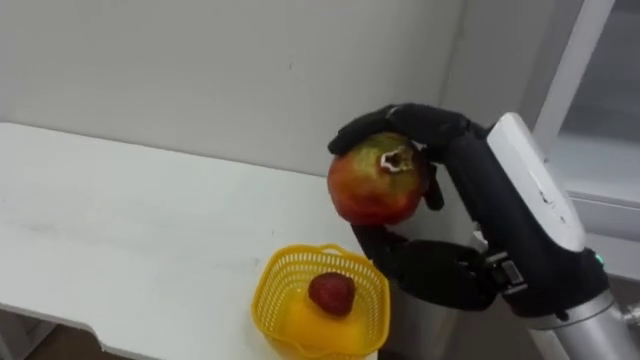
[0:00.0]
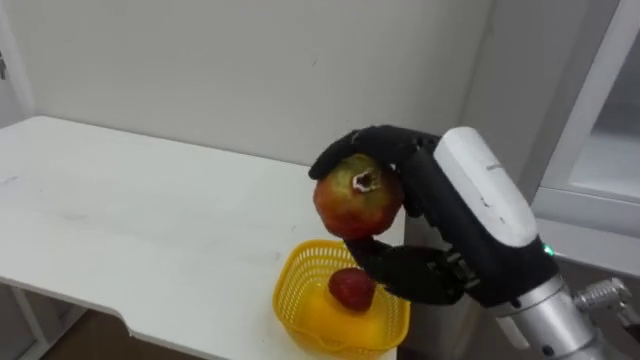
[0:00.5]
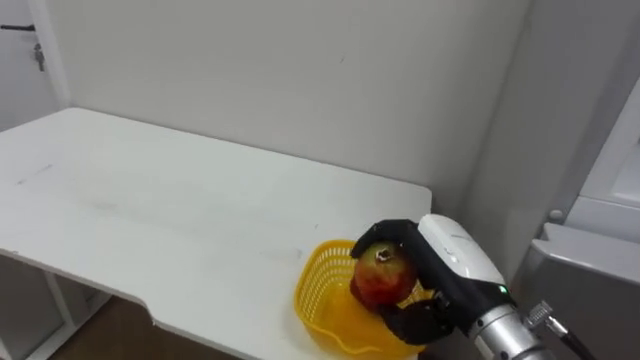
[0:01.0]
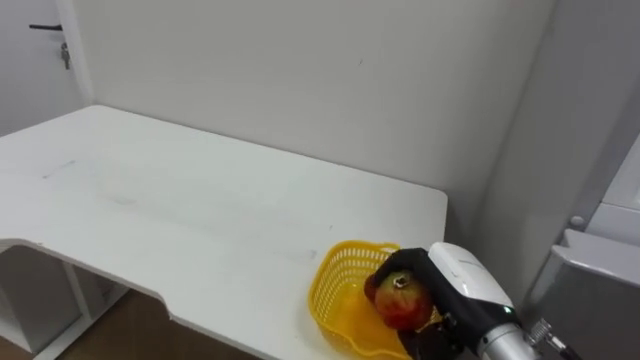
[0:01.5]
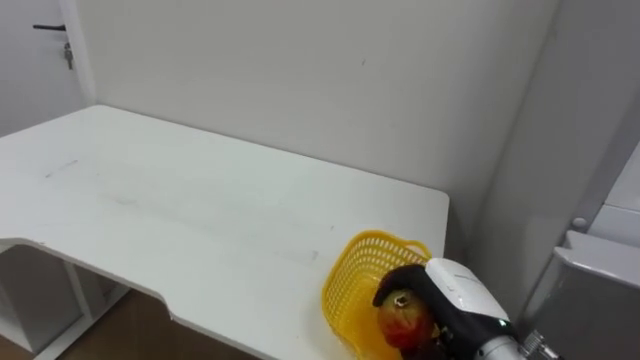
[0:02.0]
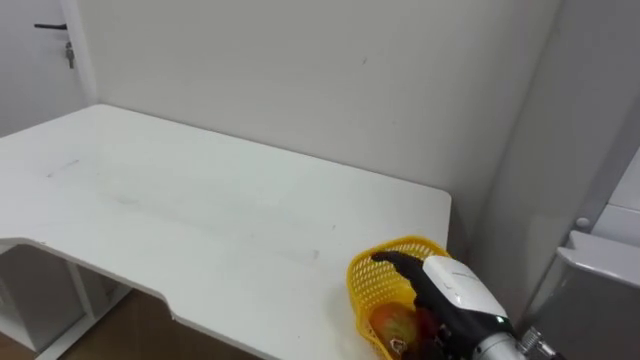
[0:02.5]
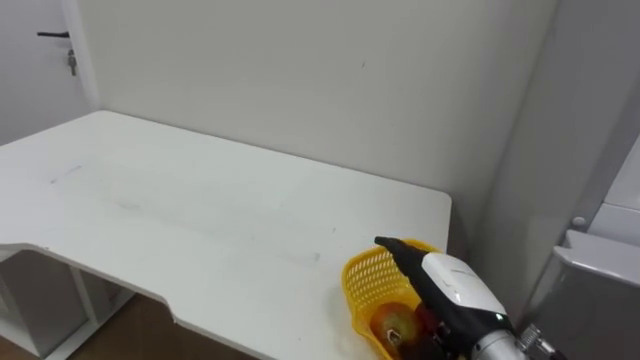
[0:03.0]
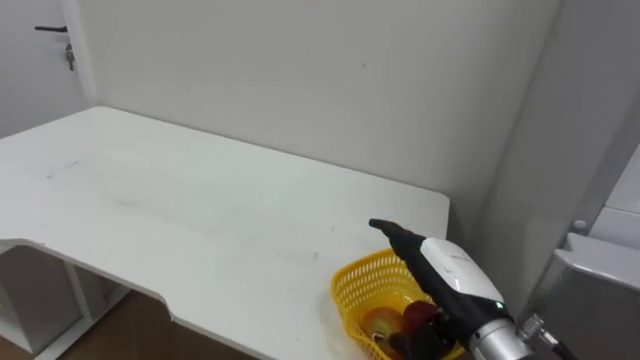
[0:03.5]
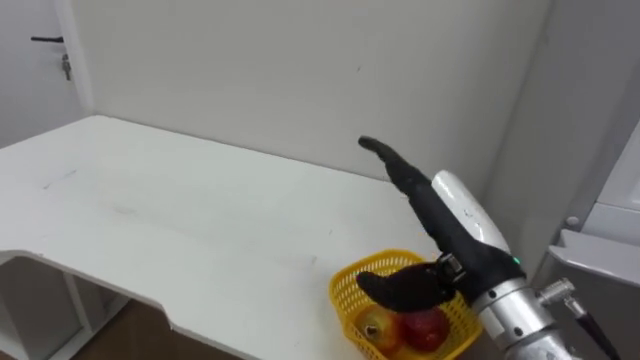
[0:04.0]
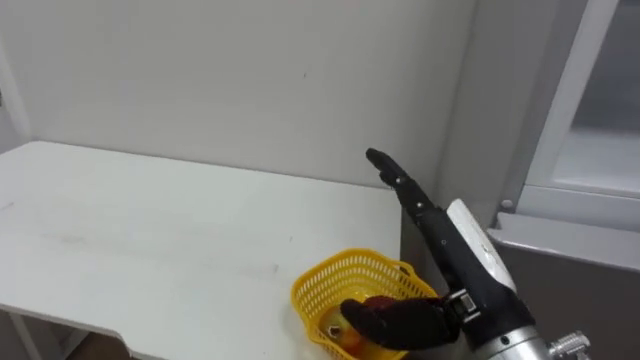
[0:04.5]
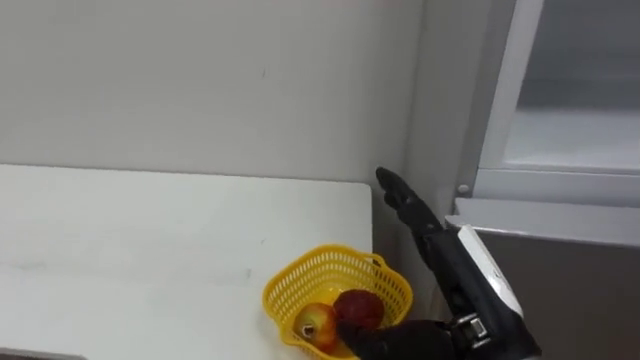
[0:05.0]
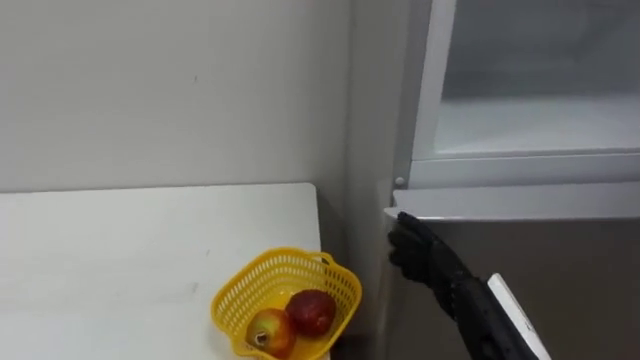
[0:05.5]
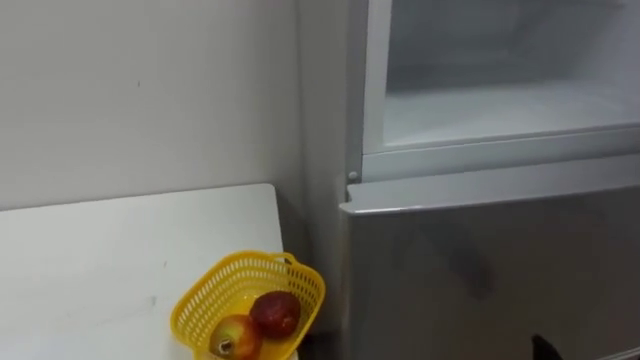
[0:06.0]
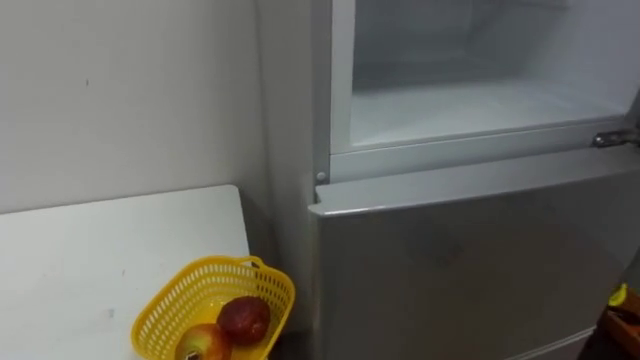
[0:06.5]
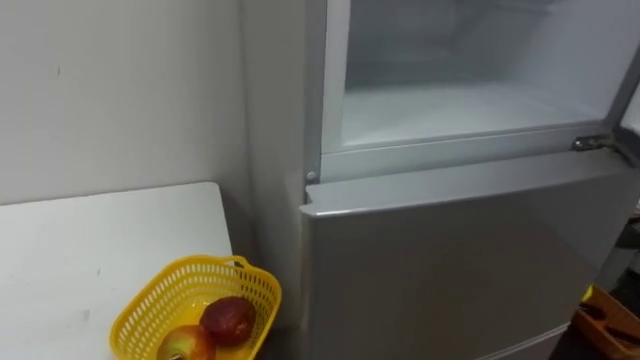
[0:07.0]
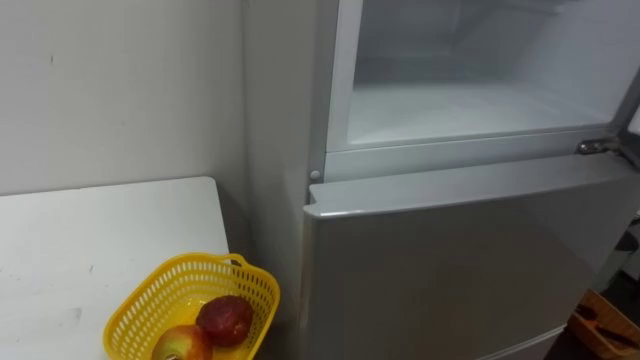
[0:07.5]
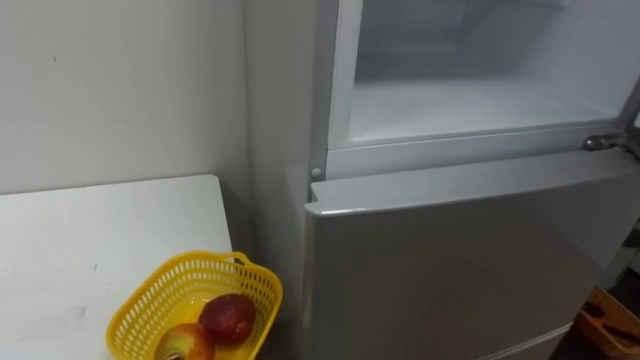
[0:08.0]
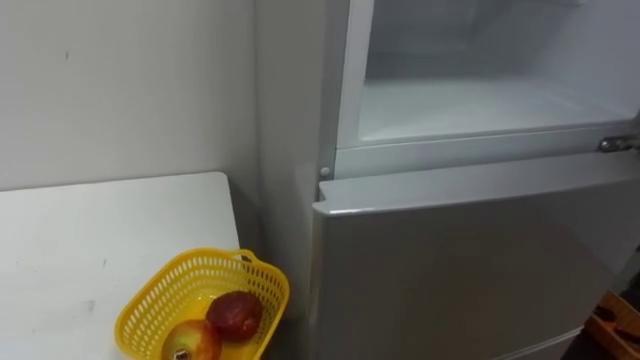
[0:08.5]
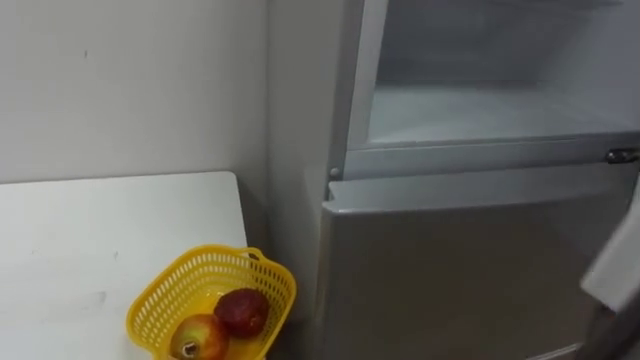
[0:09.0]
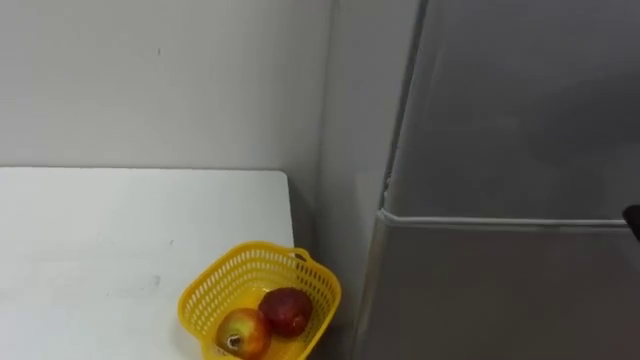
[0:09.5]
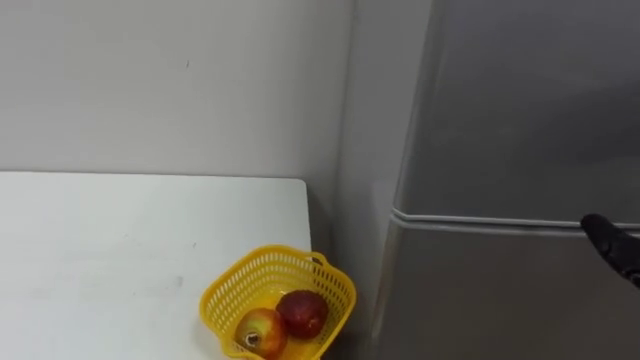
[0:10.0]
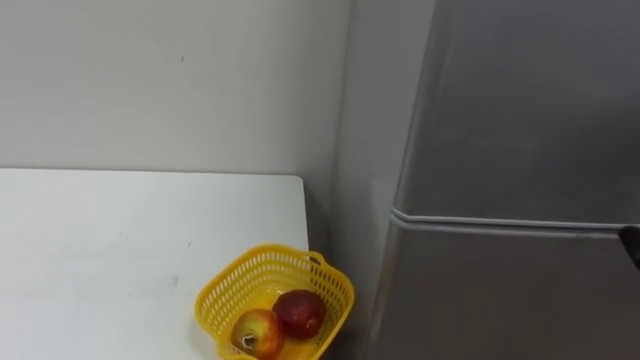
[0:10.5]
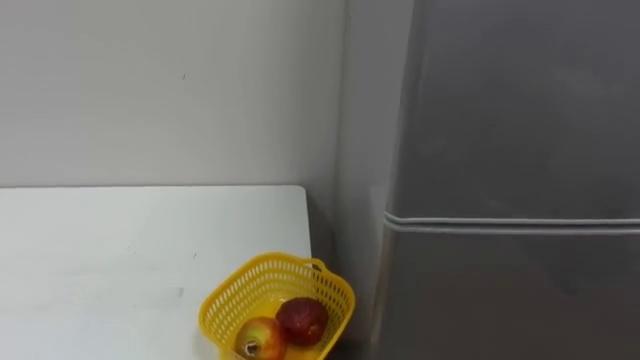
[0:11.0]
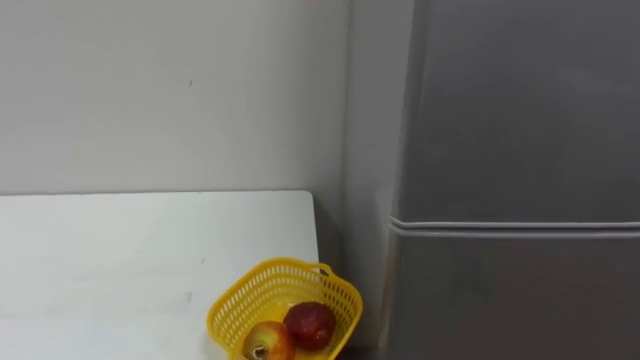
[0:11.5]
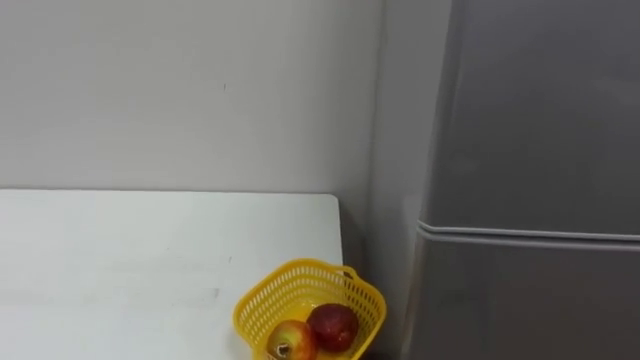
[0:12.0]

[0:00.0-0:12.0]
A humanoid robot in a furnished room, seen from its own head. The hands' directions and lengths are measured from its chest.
Task of the whole recording: Open the refrigerator door, take out the apple and the pomegranate, place them in the fruit basket on the left, and close the refrigerator door.
0:00.0 to 0:02.0: The right hand goes some 25 cm downward and forward.
0:02.0 to 0:04.0: The right hand moves upward, approximately 10 cm, and opens.

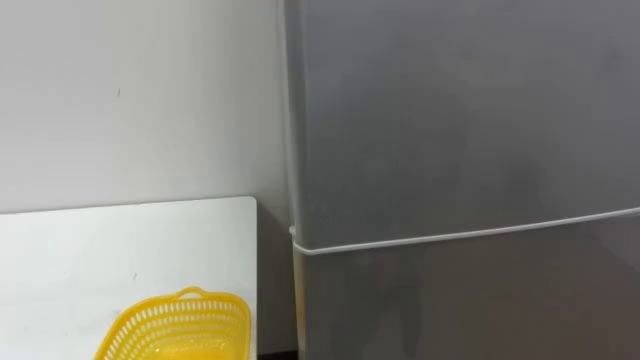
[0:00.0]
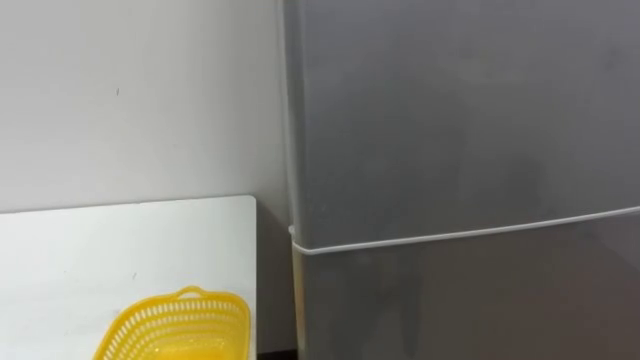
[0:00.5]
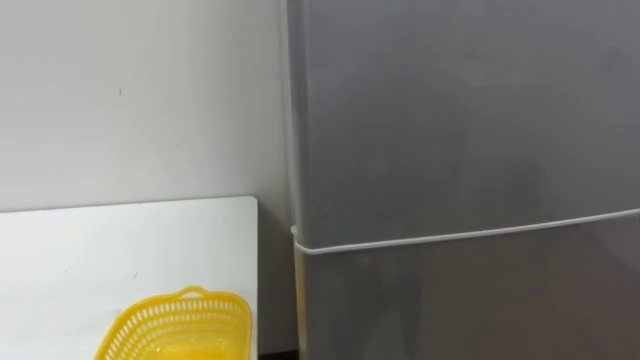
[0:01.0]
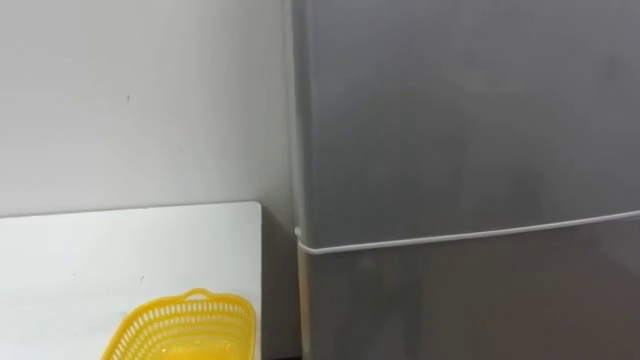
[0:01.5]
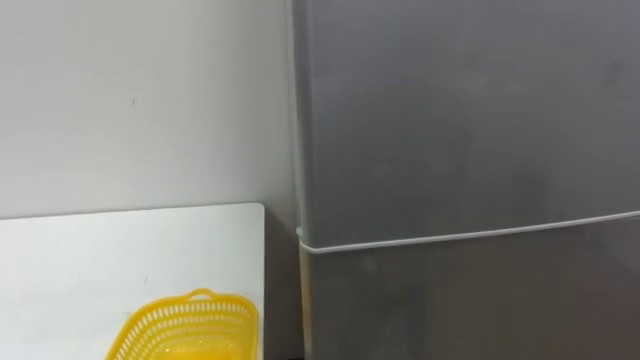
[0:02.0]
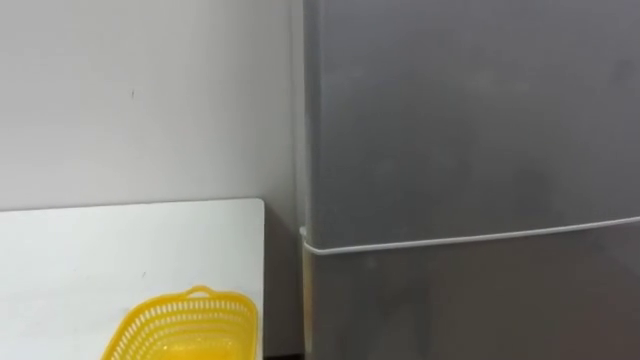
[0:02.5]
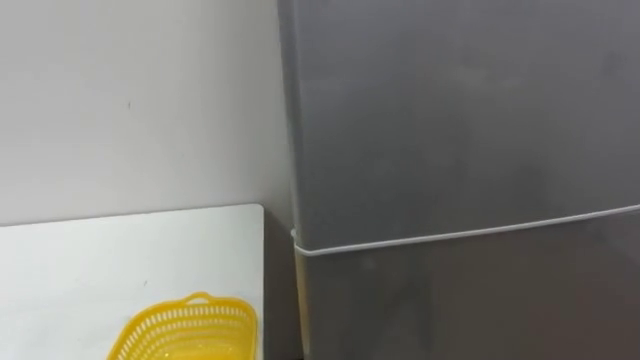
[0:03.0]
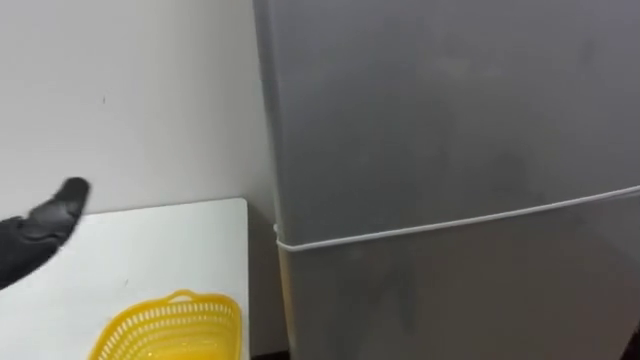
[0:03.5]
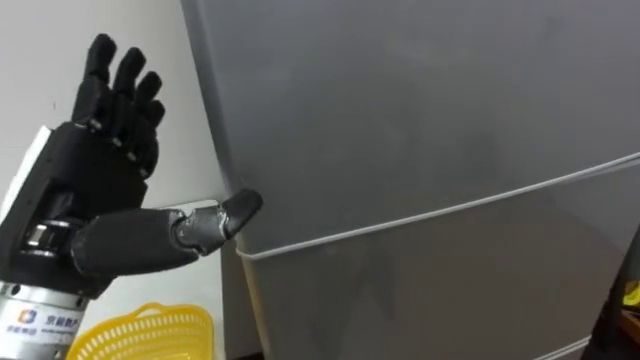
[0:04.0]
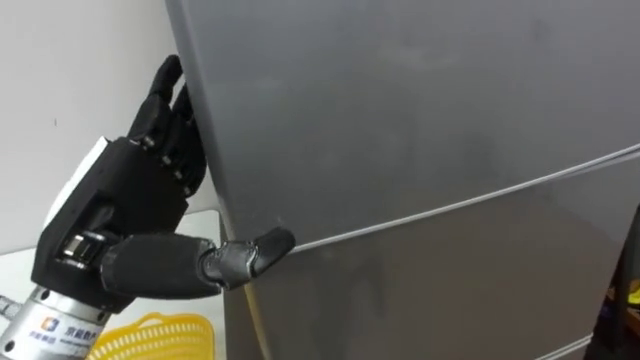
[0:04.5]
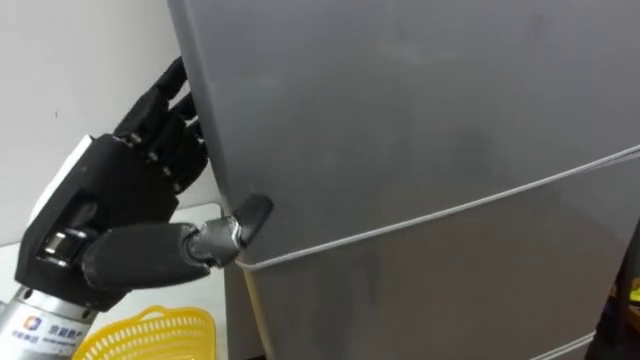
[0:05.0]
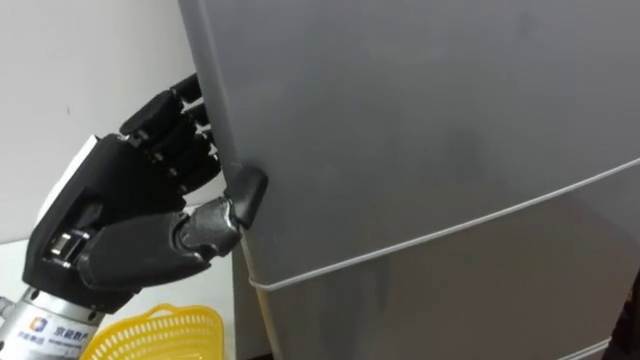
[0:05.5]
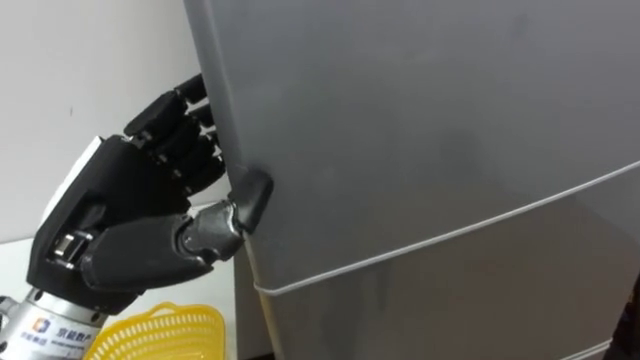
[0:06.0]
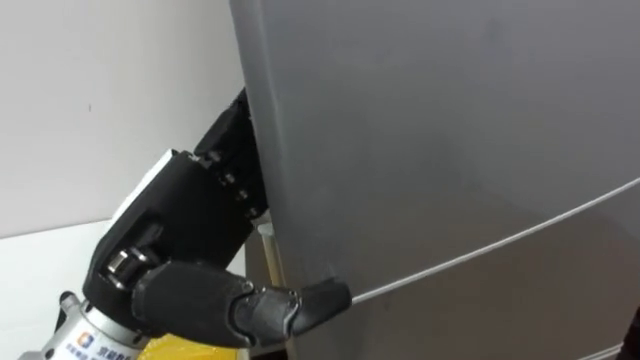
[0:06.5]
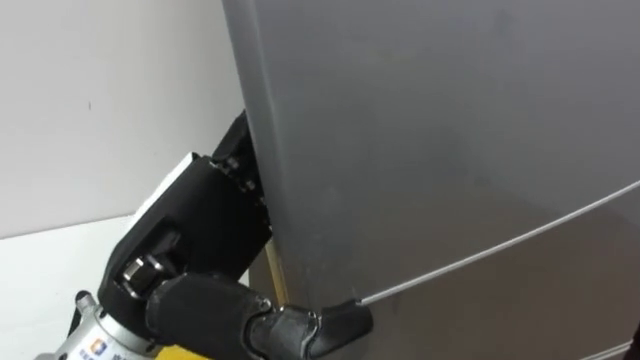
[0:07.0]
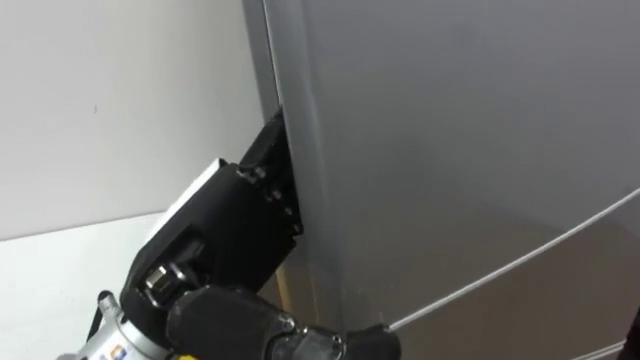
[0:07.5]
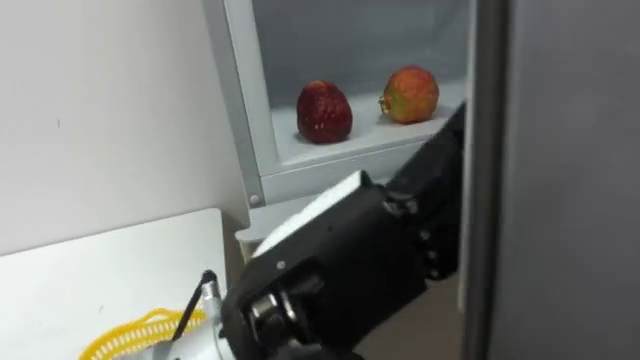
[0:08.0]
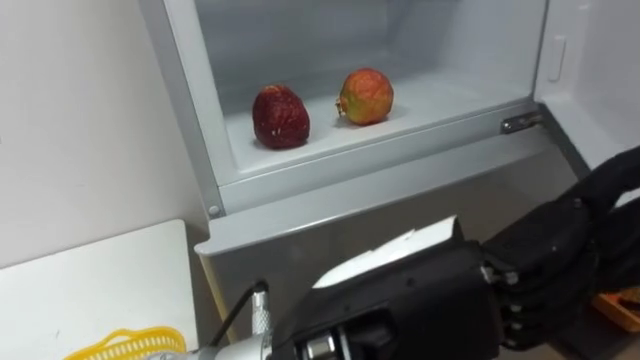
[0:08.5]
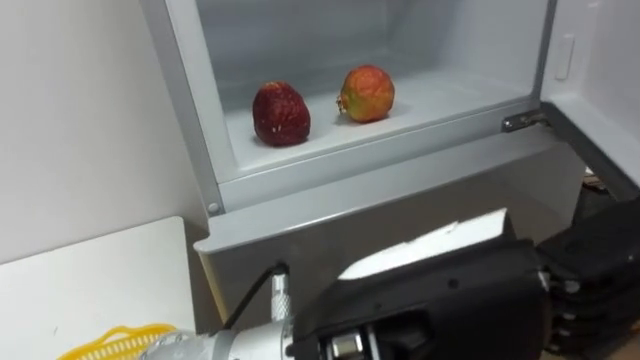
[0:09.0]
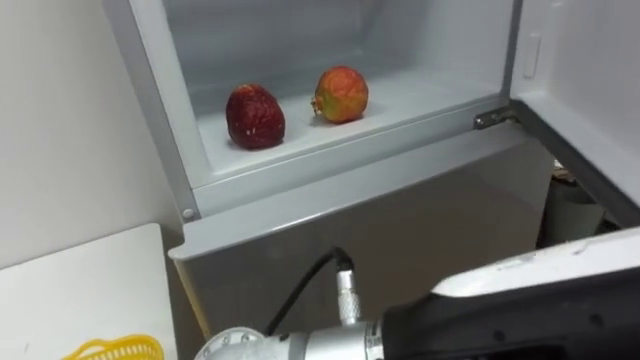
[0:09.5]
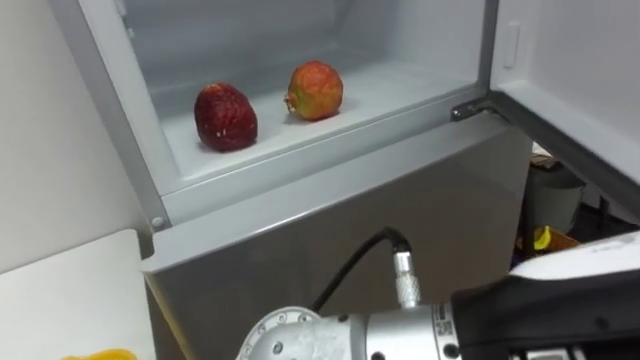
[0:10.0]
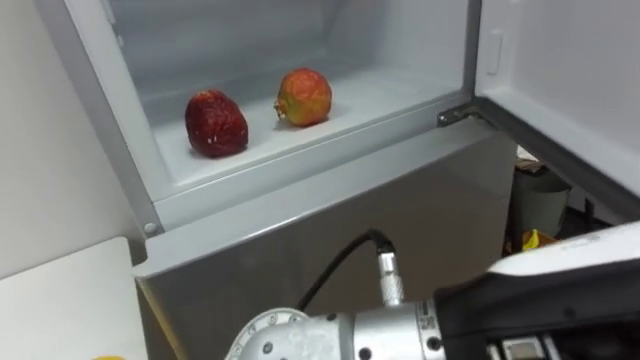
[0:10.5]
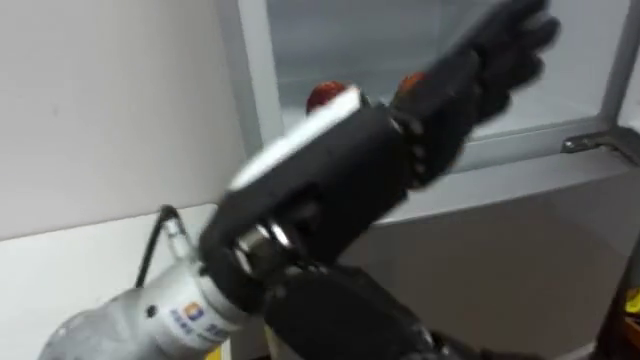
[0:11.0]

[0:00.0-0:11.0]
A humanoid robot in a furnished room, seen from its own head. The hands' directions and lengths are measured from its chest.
Task of the whole recording: Open the refrigerator door, take out the apple and the pomegranate, place them in the fruit basket on the left, and close the refrigerator door.
0:05.5 to 0:07.5: The left hand travels to the right by roughly 10 cm, and opens its fingers.
0:07.5 to 0:09.0: The left hand shifts about 15 cm to the right and backward.
0:09.0 to 0:11.0: The left hand shifts by about 5 cm.
